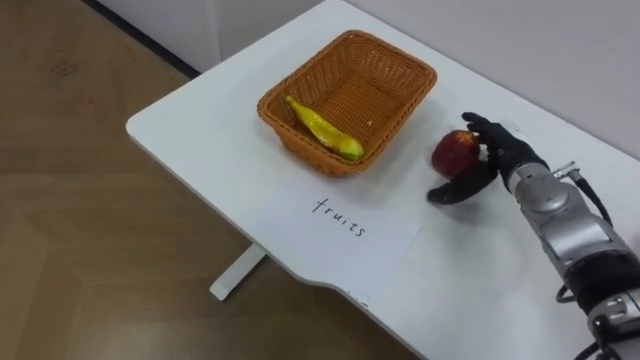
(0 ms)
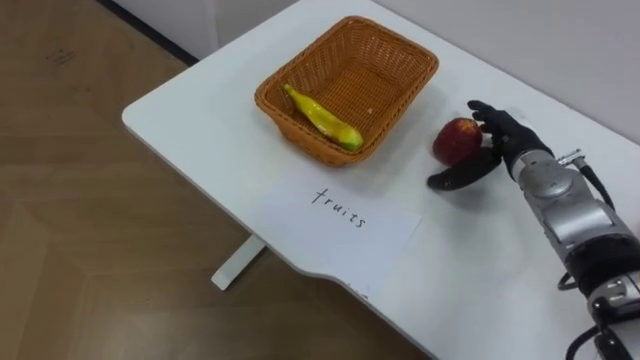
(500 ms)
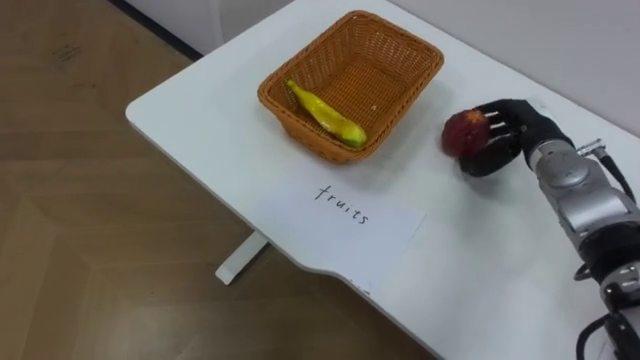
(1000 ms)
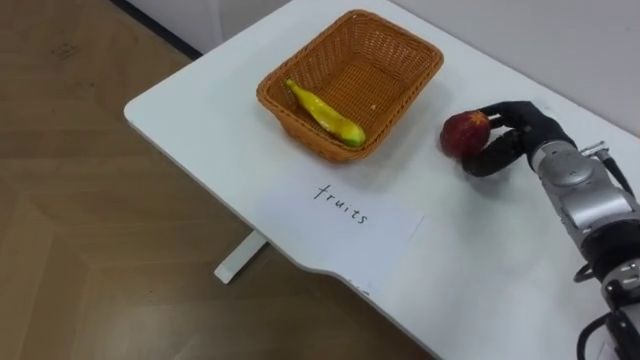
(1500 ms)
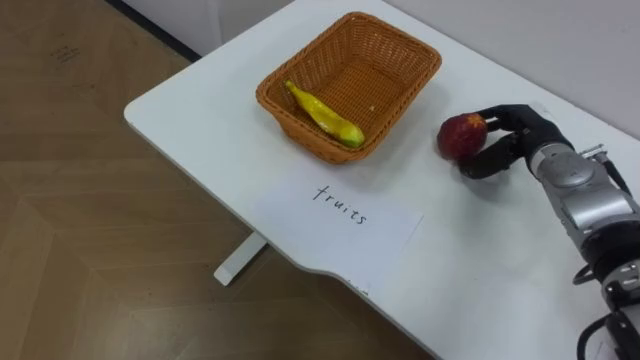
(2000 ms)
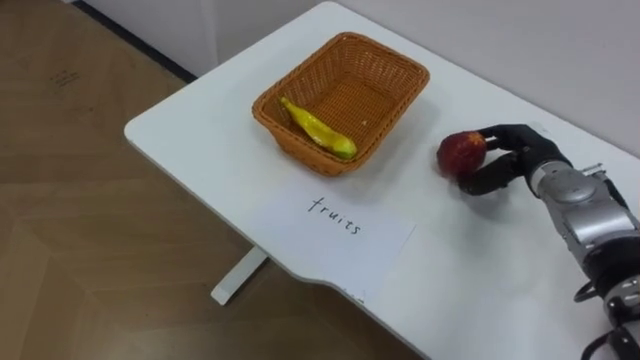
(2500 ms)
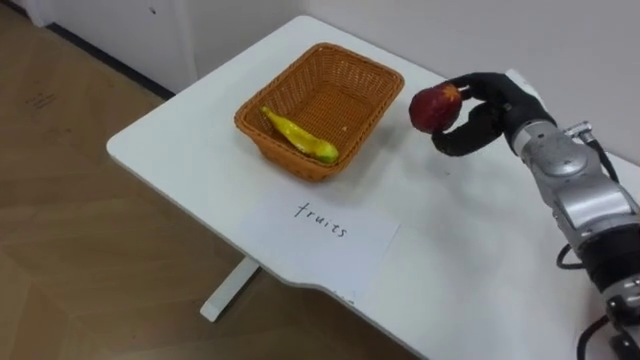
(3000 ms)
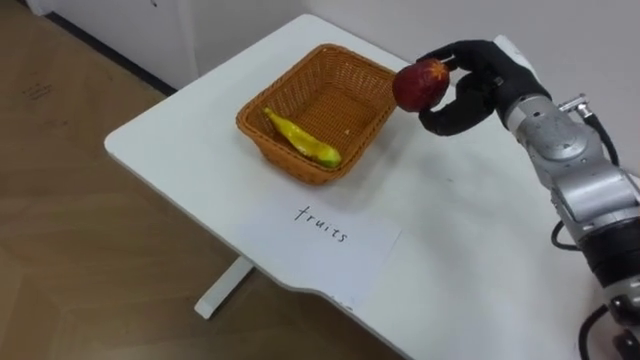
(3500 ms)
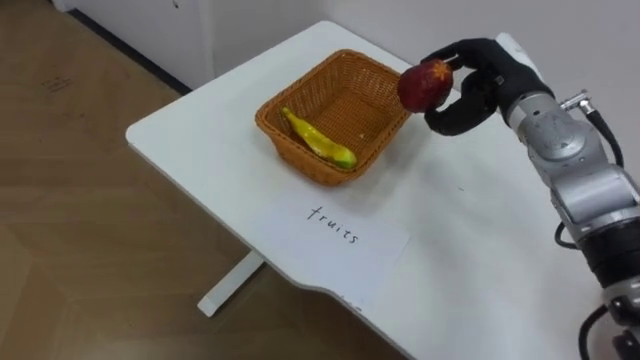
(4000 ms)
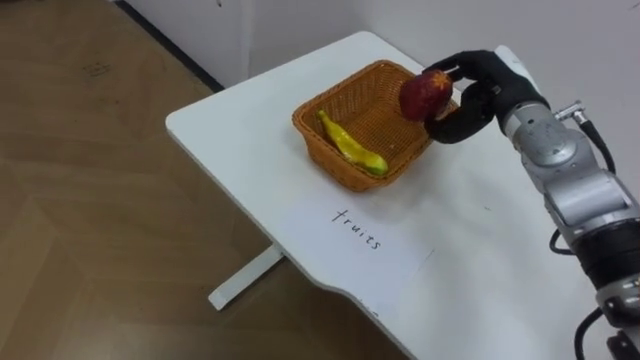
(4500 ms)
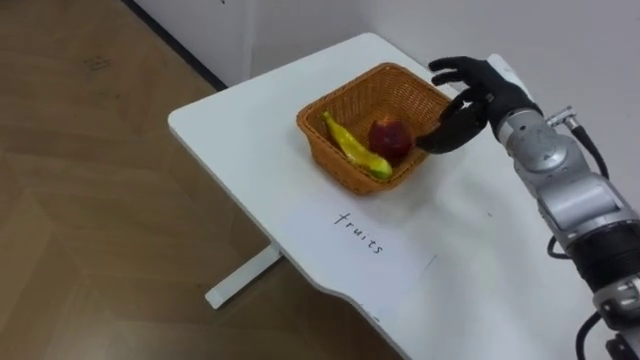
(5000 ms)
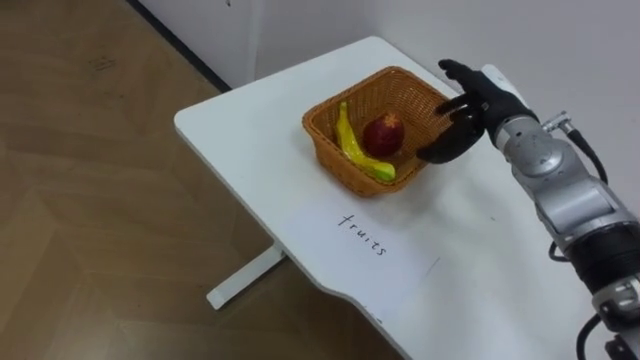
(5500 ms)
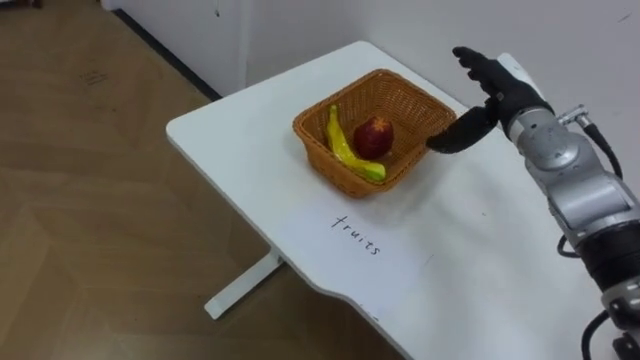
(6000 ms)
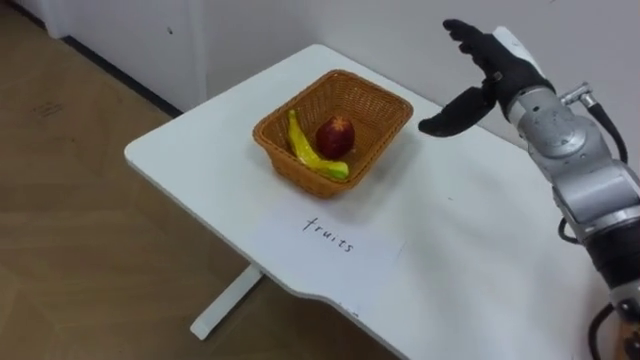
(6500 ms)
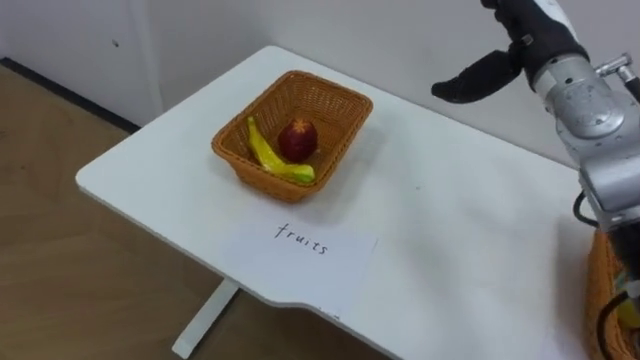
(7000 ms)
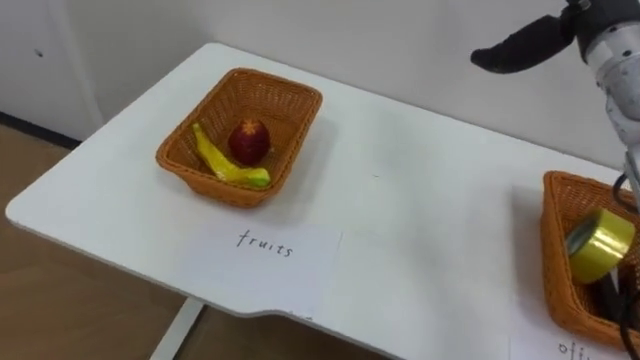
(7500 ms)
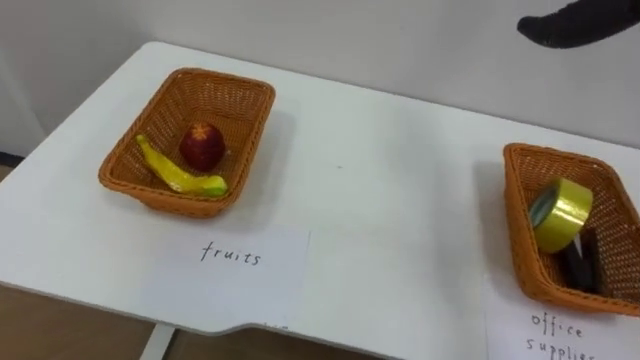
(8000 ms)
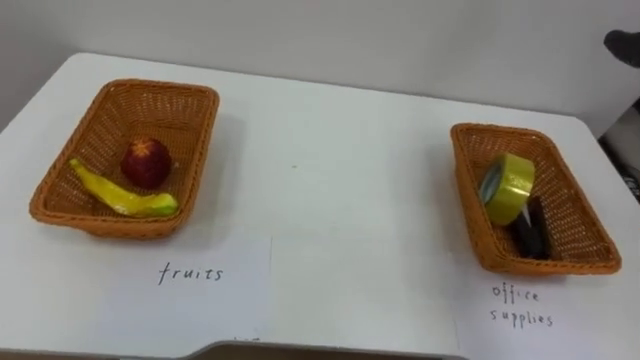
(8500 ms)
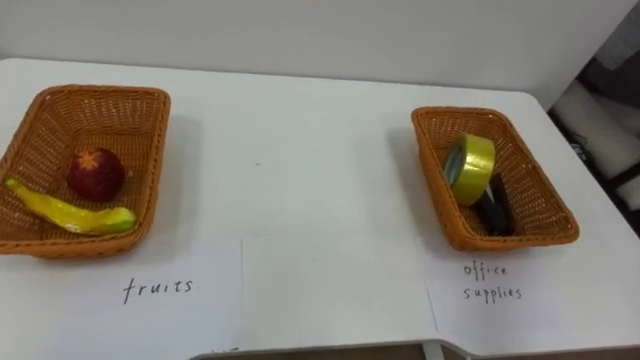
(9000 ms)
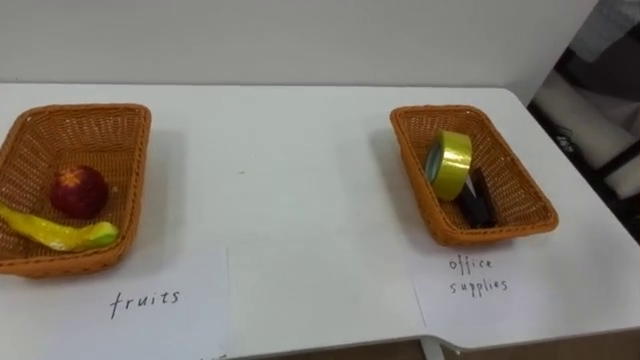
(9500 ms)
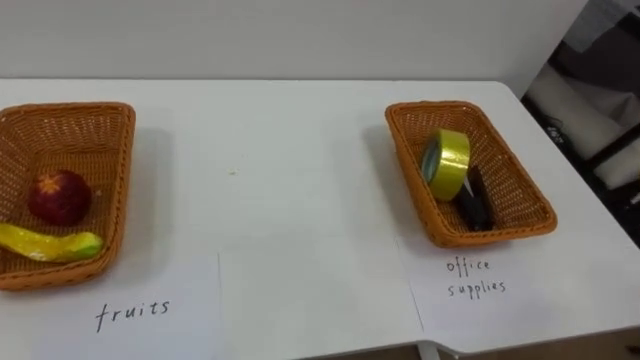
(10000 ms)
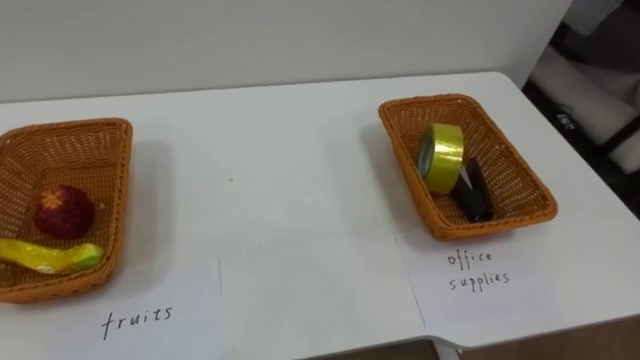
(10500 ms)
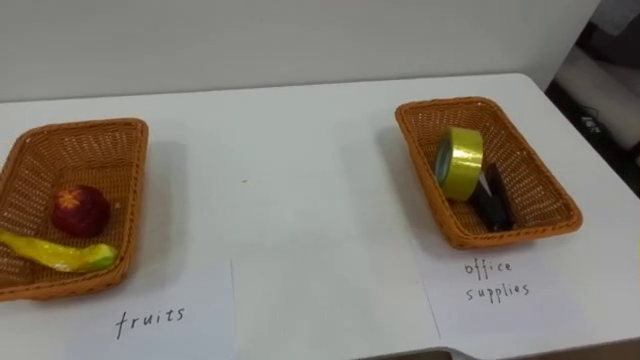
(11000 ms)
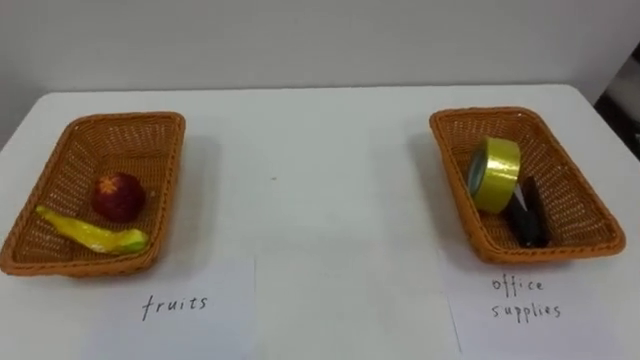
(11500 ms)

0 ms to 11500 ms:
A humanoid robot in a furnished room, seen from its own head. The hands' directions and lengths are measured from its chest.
Task of the whole recording: Separate the items on the table and place them into the two baskets.
0 ms to 2000 ms: The right hand closes up.
2000 ms to 4000 ms: The right hand is displaced upward and to the left by about 10 cm.
4000 ms to 6000 ms: The right hand opens.
6000 ms to 7500 ms: The right hand heads upward, covering some 15 cm.

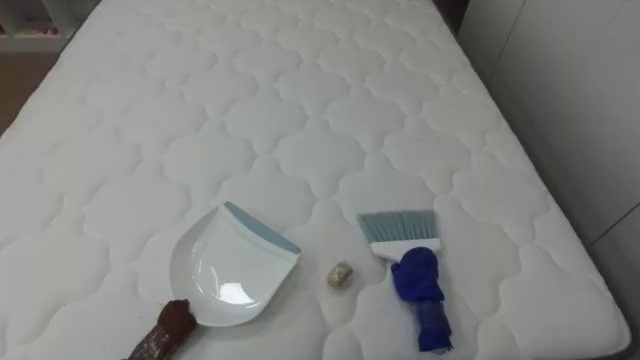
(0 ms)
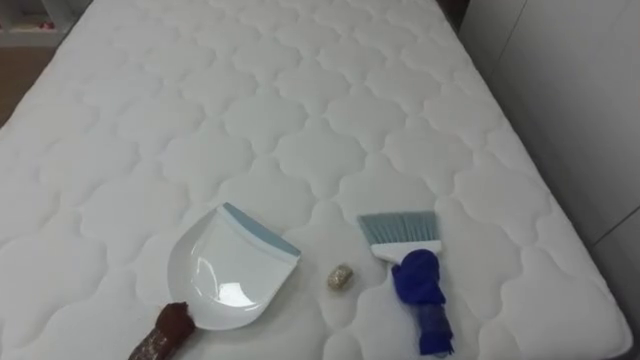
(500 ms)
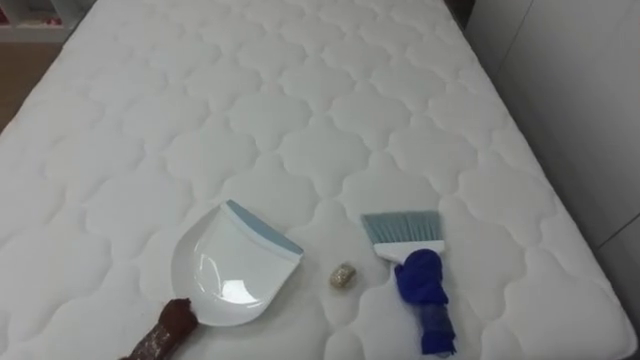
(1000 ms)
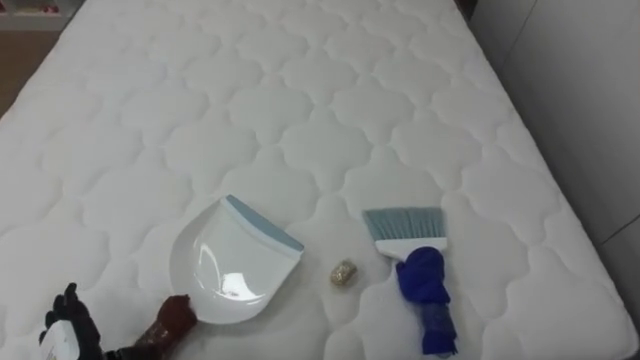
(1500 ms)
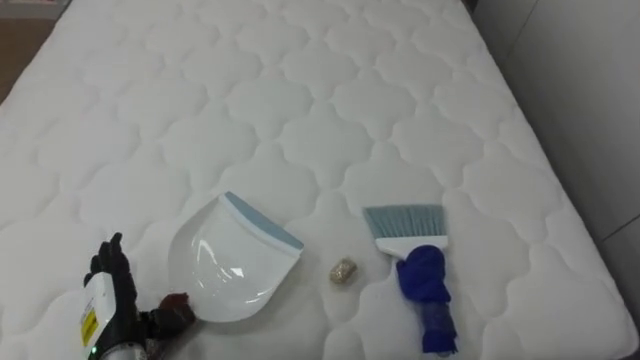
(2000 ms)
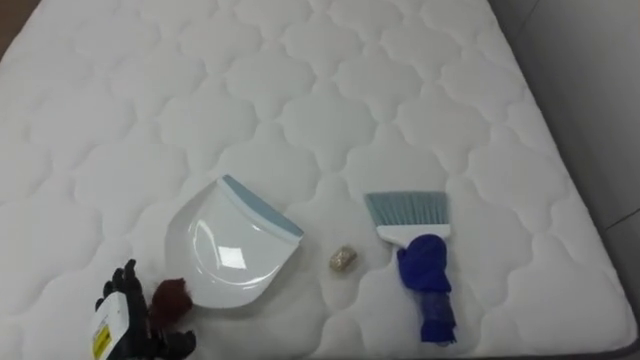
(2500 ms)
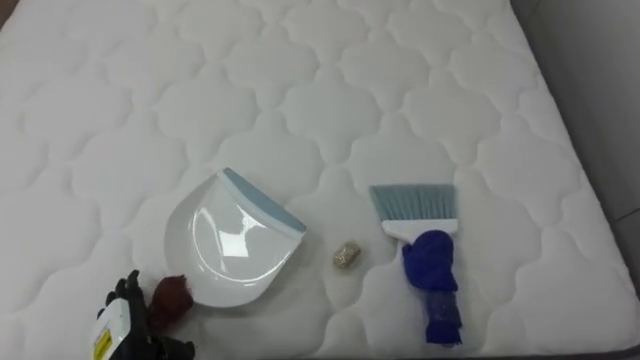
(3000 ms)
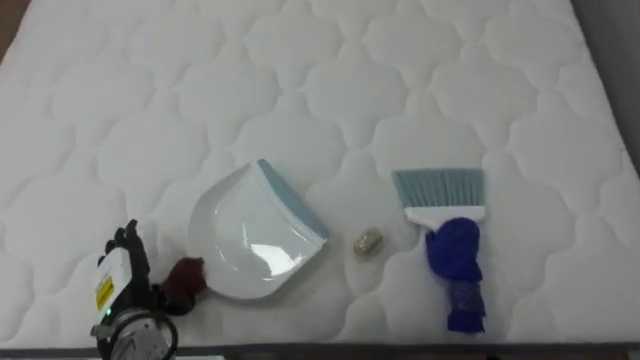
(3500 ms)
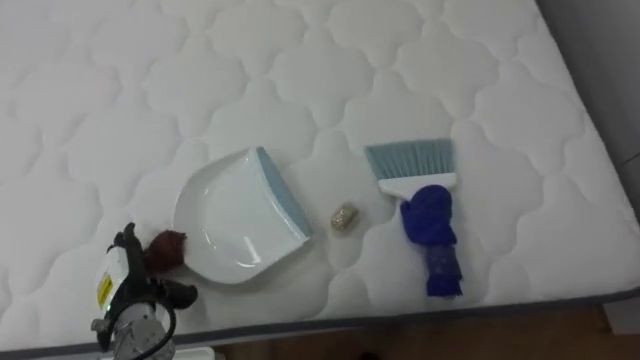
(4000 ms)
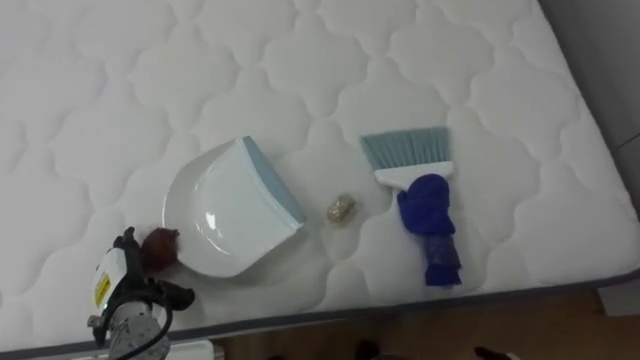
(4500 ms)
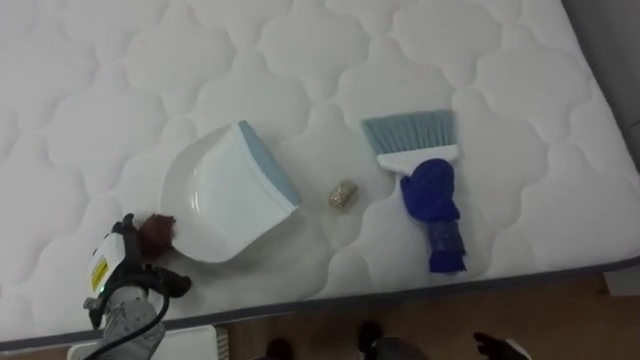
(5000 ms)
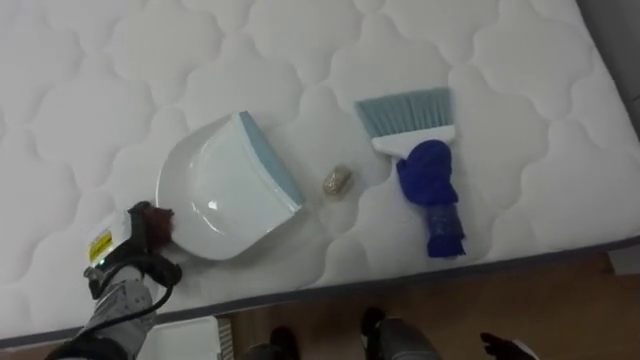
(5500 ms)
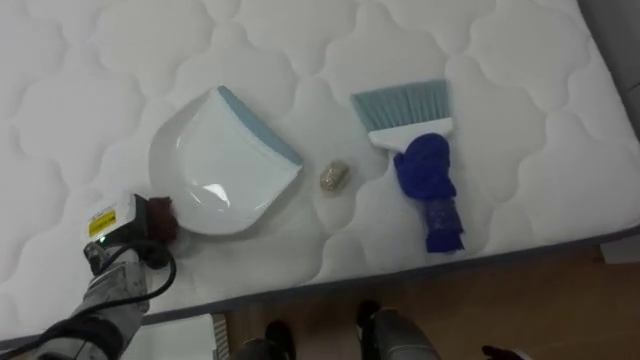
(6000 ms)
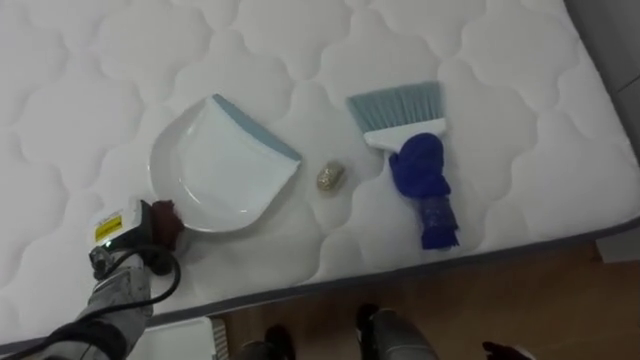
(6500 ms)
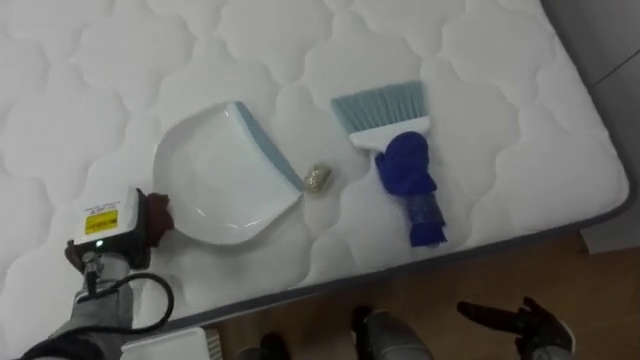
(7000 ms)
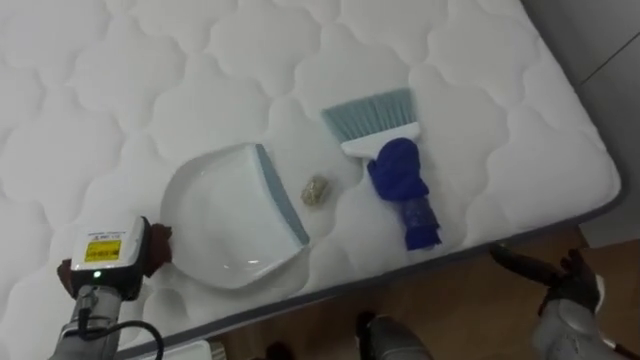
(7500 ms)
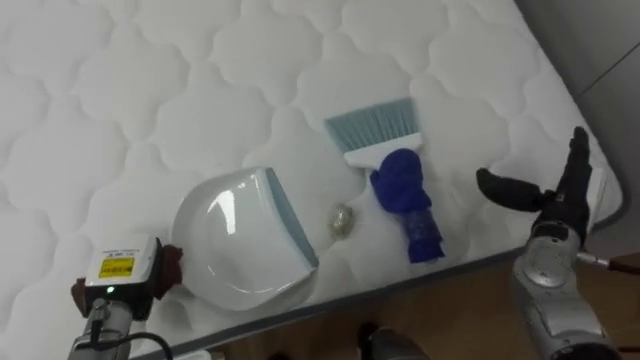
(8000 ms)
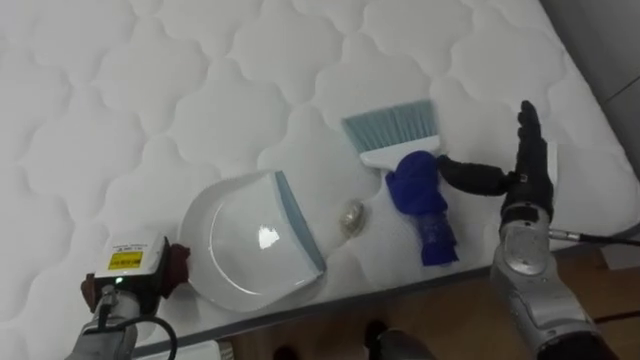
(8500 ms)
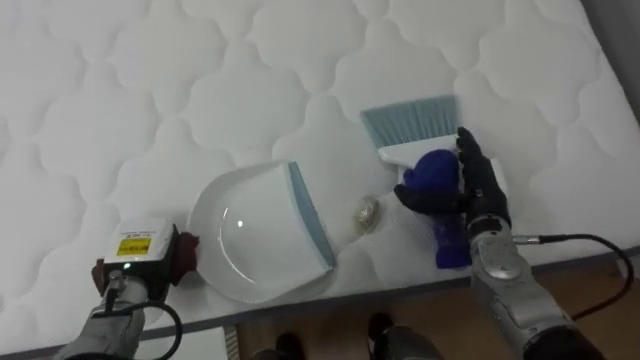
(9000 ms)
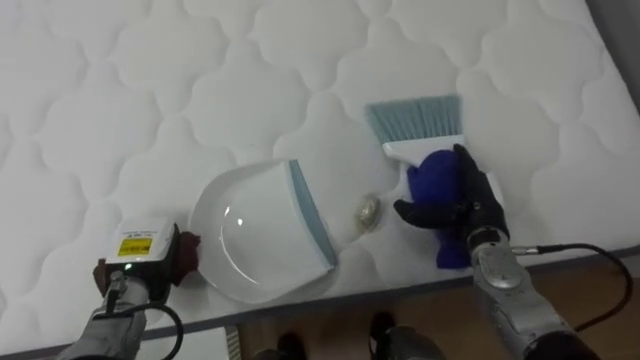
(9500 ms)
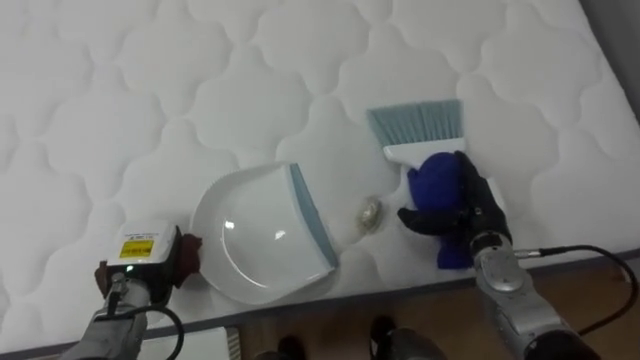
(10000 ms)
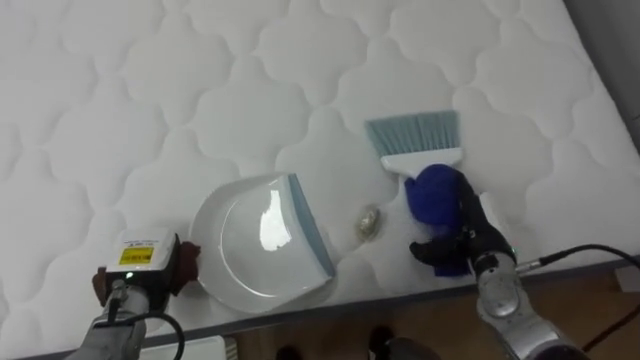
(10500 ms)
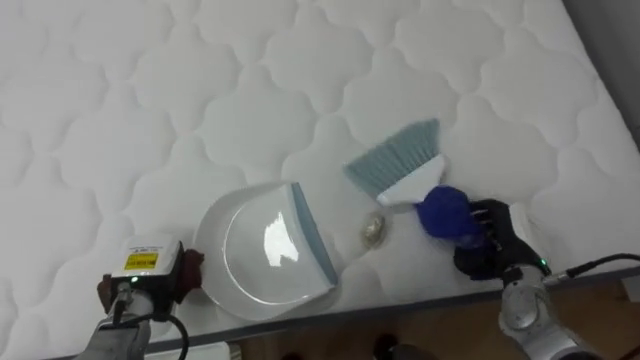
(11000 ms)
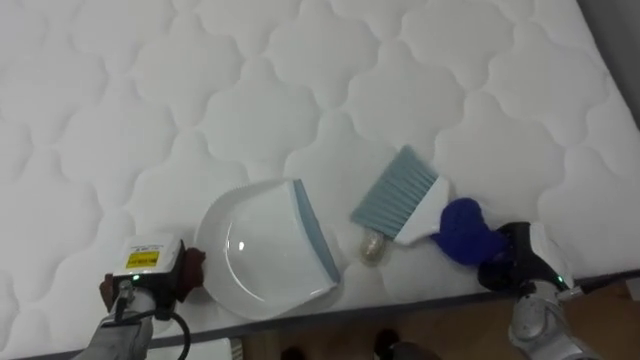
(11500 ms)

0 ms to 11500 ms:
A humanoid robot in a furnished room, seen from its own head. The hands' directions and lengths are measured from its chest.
Task of the whole recording: Pick up the brush on your right and the dustpan on your left. Use the brush to sweep the crumpled paper on the bed into the dustpan, then turn left and empty it into the basket.
2000 ms to 4000 ms: The left hand shifts some 5 cm forward.
4000 ms to 6000 ms: The left hand goes approximately 5 cm forward, and closes its fingers.
7500 ms to 9500 ms: The right hand travels to the left, forward and upward by about 15 cm.
9500 ms to 11500 ms: The right hand moves to the right, backward and downward, about 10 cm, and closes up.
